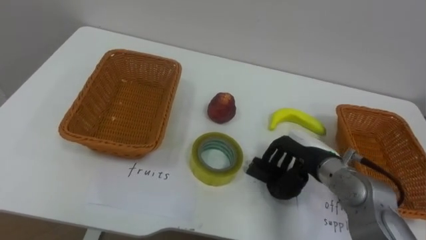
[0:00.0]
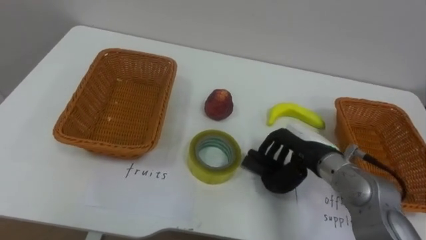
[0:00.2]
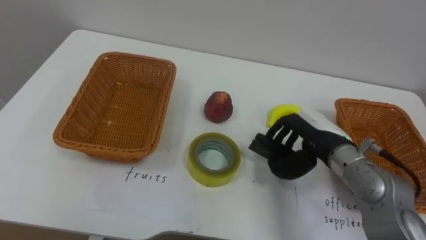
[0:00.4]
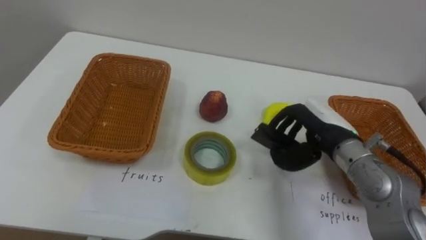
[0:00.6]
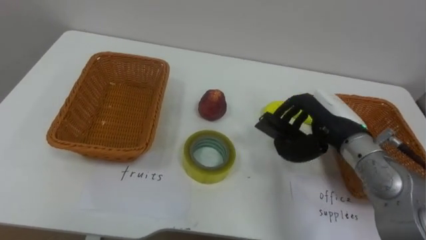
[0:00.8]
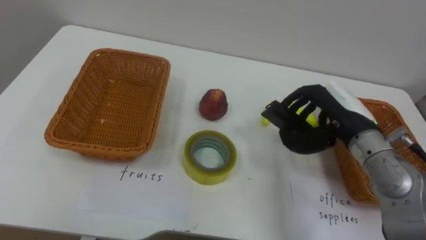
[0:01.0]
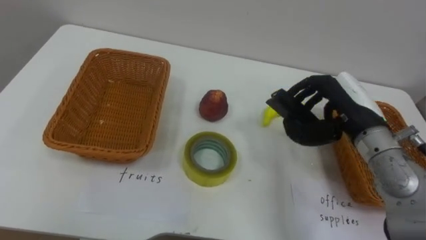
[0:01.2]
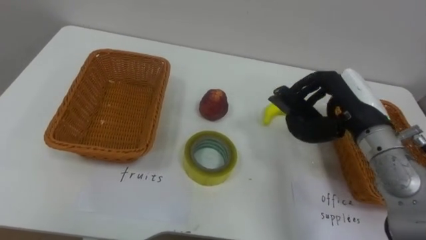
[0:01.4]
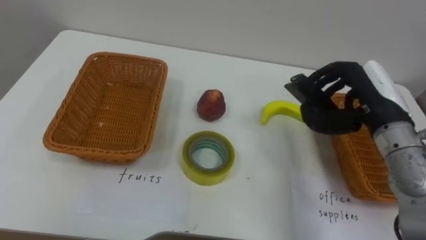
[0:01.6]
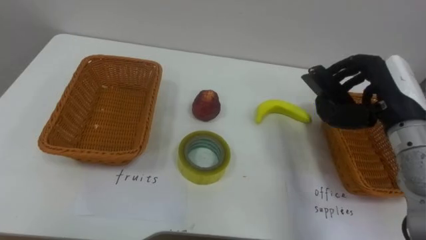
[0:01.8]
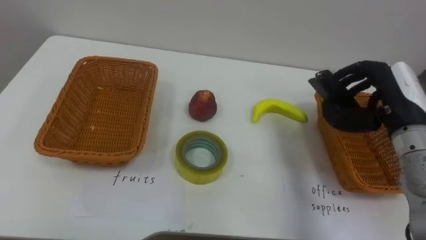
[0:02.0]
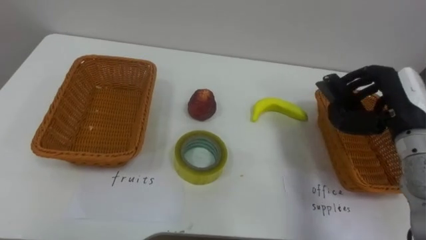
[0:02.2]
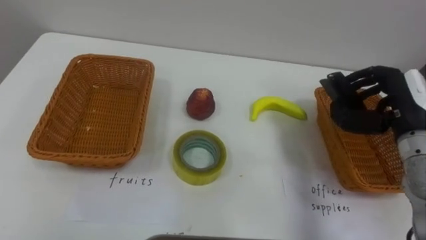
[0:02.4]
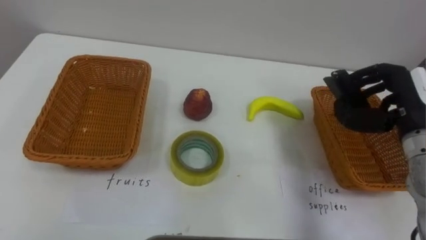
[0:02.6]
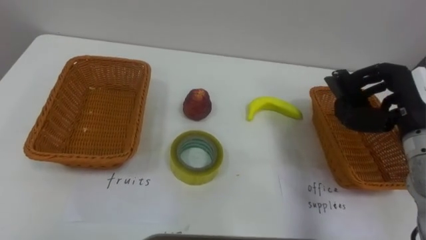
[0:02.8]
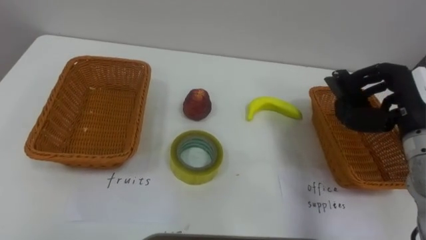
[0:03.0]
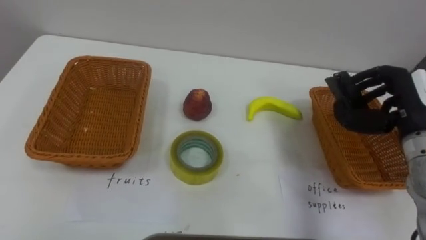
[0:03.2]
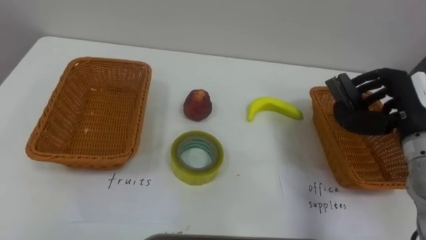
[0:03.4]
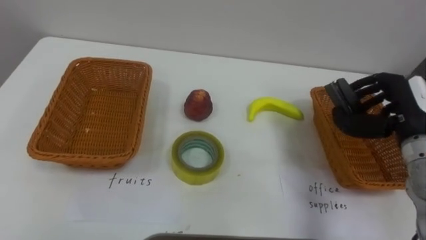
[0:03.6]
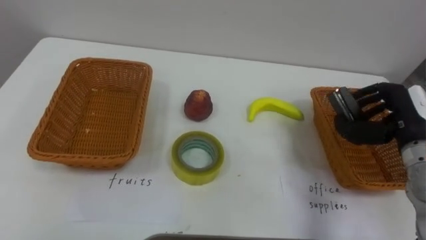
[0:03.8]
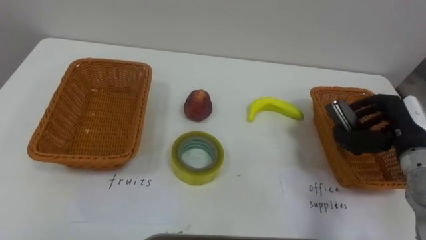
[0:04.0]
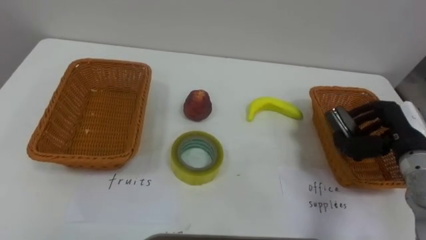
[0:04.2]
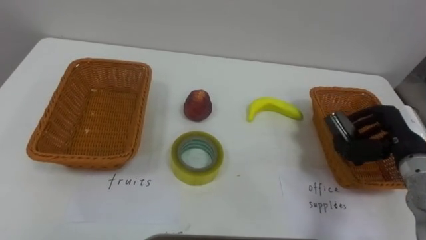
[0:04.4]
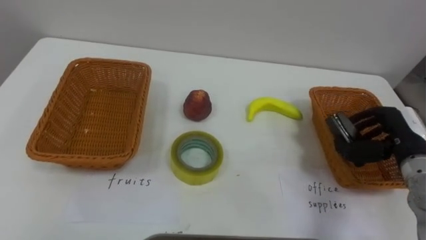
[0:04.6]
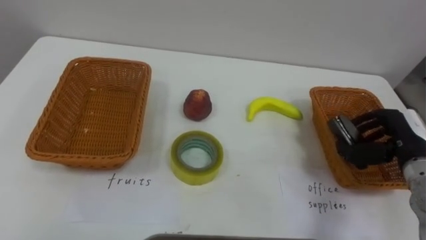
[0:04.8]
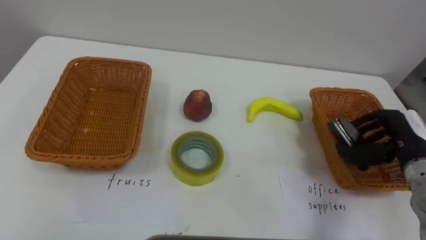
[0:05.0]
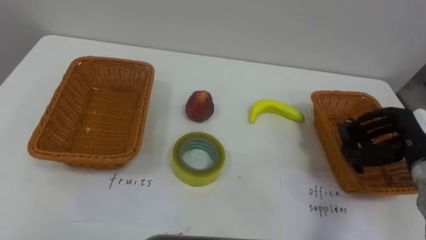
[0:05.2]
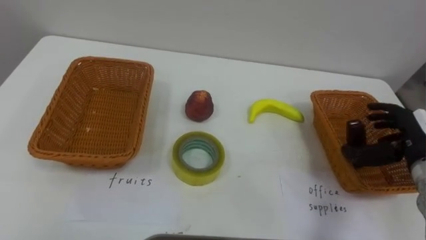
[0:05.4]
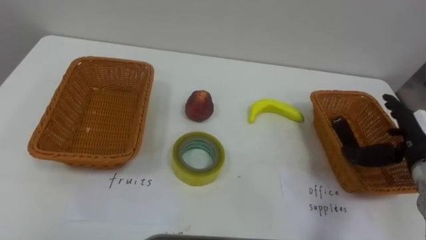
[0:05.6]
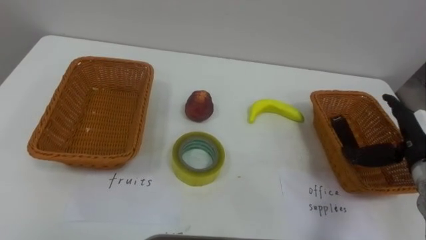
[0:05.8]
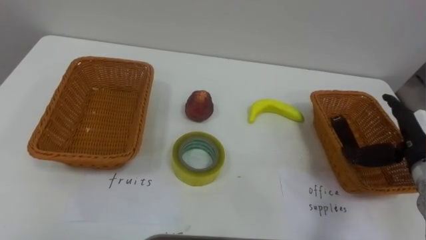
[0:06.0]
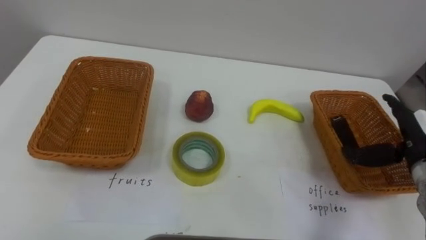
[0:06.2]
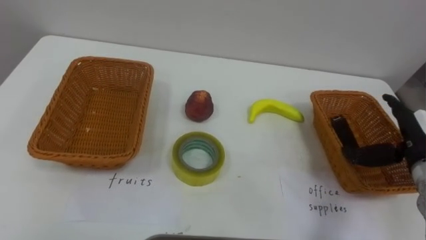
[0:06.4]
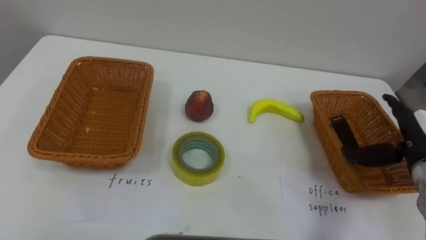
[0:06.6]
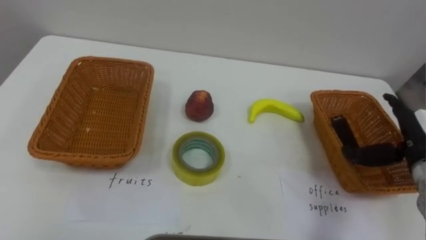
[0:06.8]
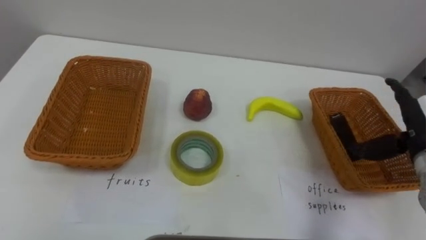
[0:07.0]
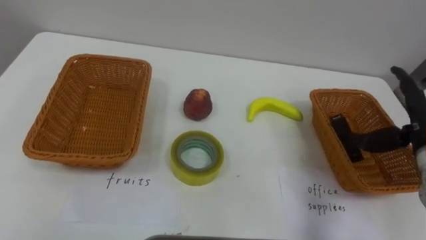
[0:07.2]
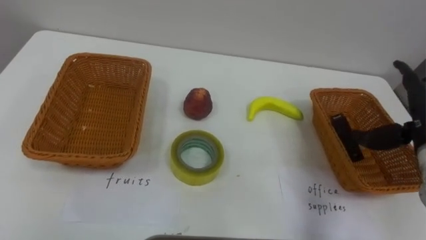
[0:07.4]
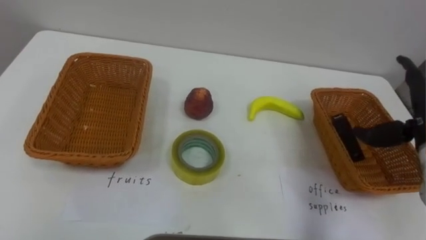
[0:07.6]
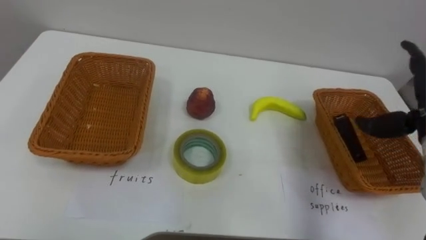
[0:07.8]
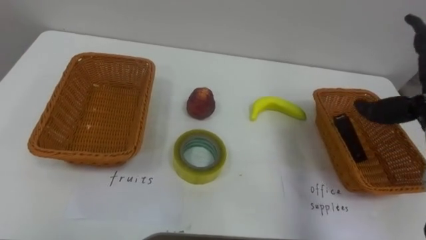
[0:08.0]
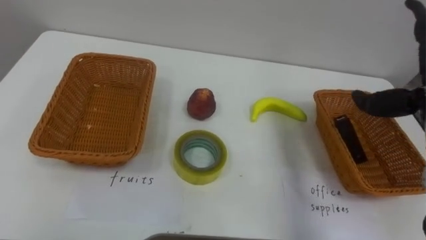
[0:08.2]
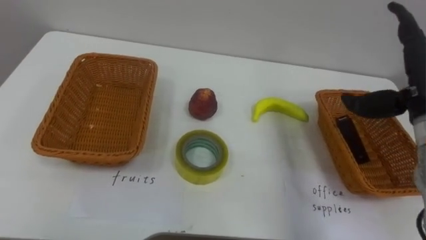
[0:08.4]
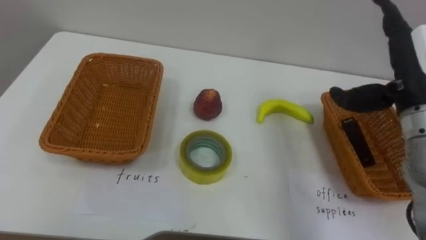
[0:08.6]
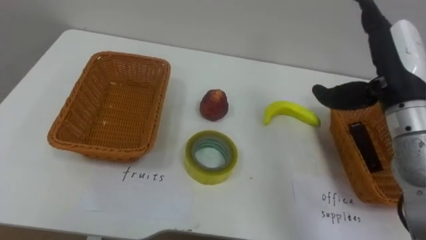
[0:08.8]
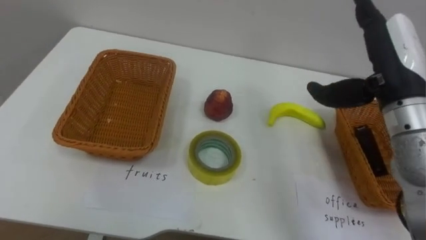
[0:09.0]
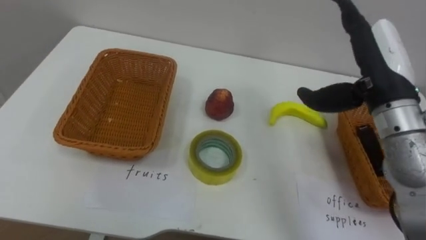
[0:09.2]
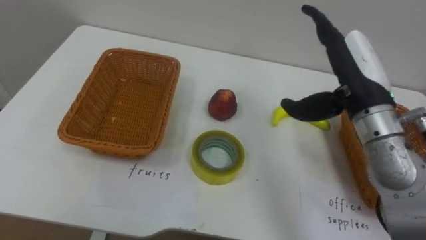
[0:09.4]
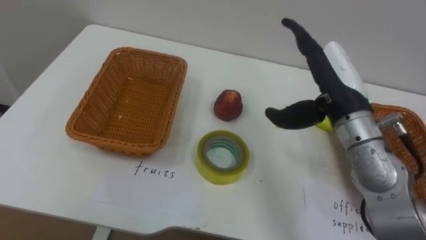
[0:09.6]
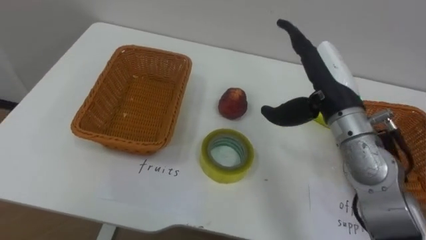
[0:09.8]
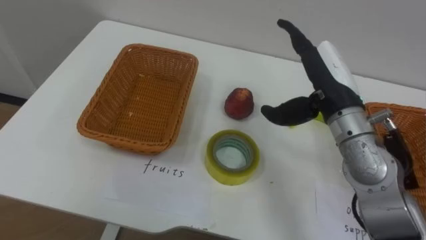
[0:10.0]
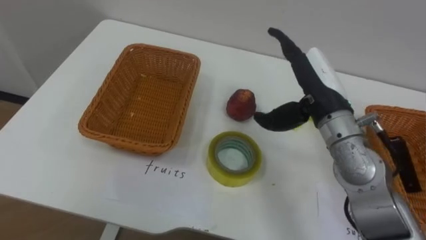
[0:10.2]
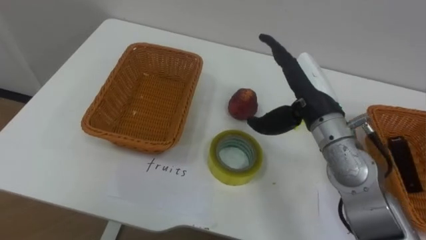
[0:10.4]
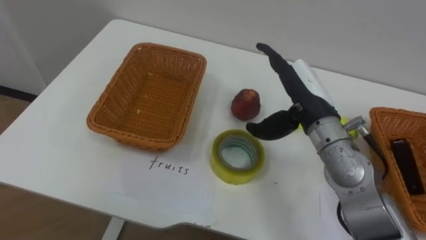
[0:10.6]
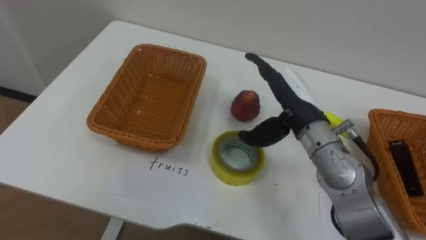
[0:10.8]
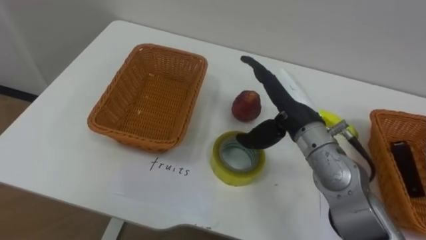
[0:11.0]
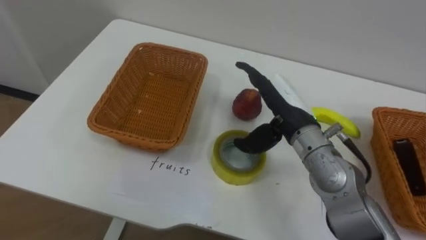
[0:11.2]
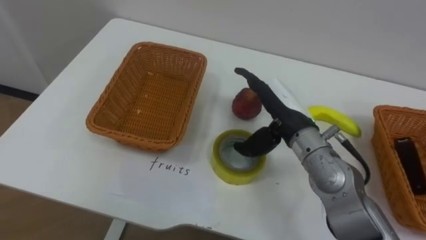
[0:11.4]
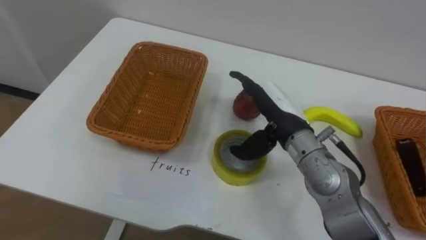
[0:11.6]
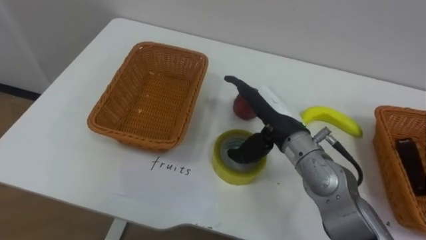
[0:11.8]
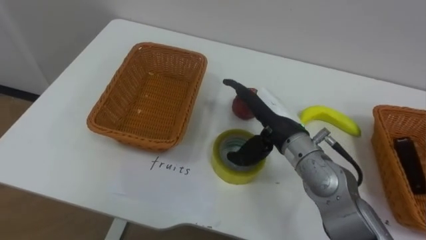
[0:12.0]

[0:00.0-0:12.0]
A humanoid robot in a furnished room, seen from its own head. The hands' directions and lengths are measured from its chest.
Task of the whole recording: Separate the items on the table and place them into the two baskets.
0:00.0 to 0:01.6: The right hand heads upward and to the right, covering approximately 15 cm.
0:01.6 to 0:03.0: The right hand is displaced to the right by about 5 cm.
0:03.0 to 0:04.4: The right hand heads downward, covering some 5 cm.
0:04.4 to 0:06.0: The right hand opens.
0:06.0 to 0:07.6: The right hand moves upward, about 5 cm.
0:09.0 to 0:10.4: The right hand heads to the left and downward, covering roughly 10 cm.
0:10.4 to 0:12.0: The right hand is displaced downward by roughly 5 cm.

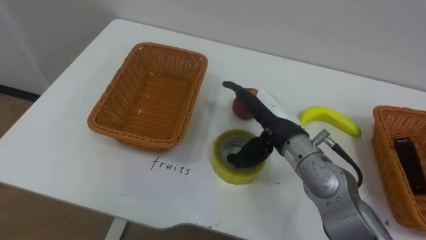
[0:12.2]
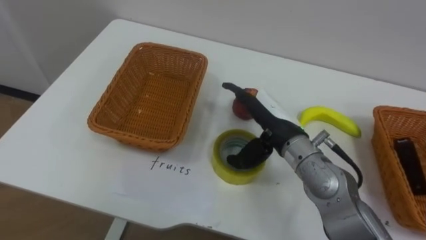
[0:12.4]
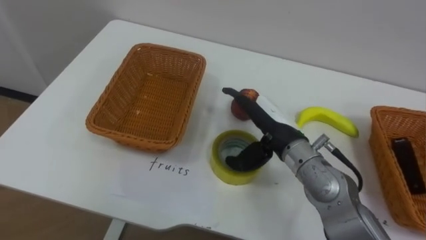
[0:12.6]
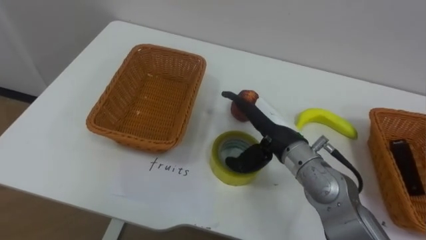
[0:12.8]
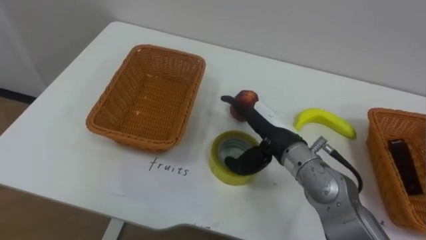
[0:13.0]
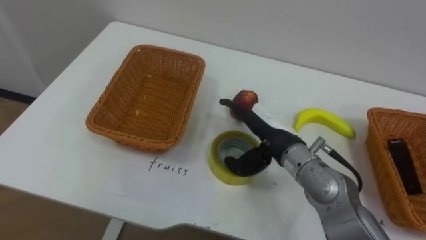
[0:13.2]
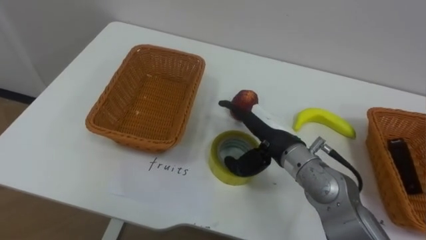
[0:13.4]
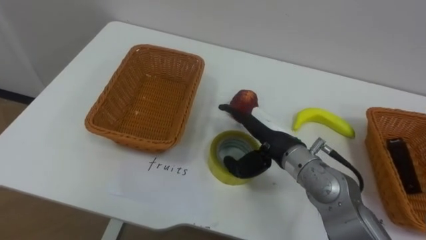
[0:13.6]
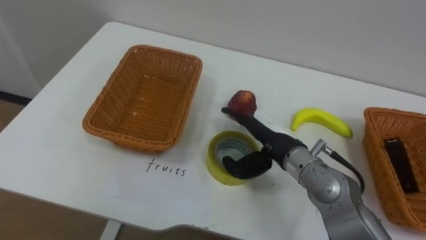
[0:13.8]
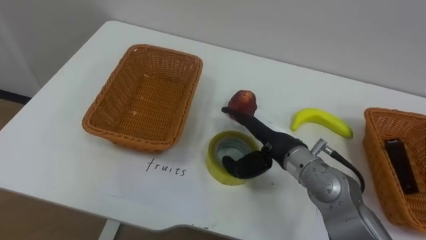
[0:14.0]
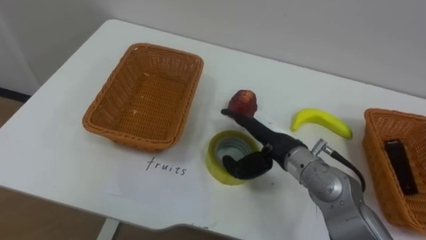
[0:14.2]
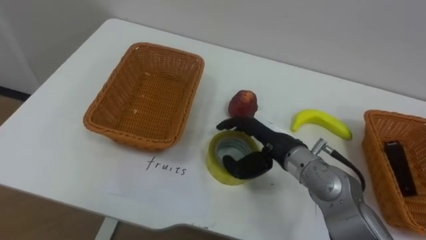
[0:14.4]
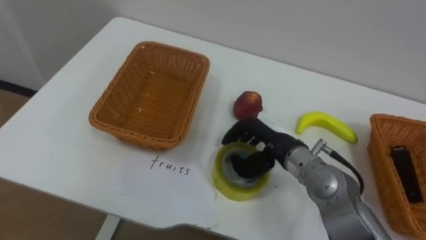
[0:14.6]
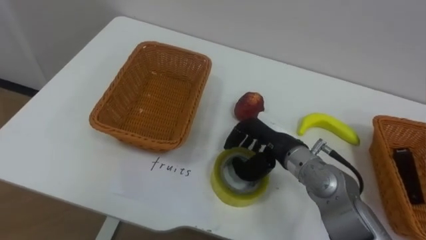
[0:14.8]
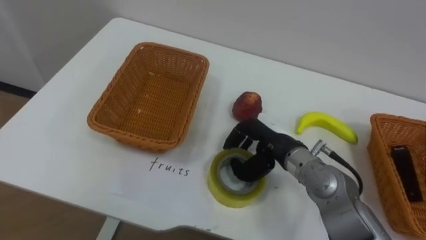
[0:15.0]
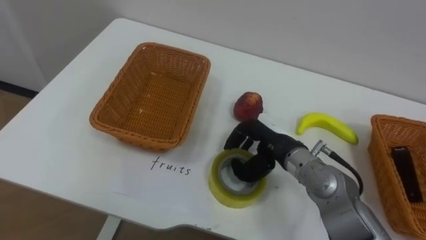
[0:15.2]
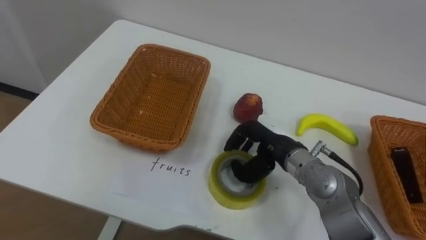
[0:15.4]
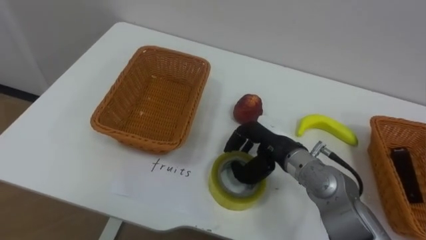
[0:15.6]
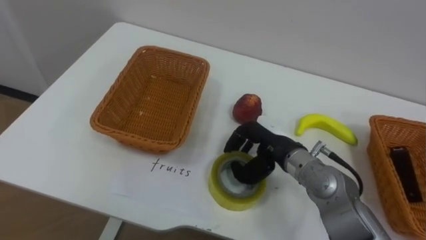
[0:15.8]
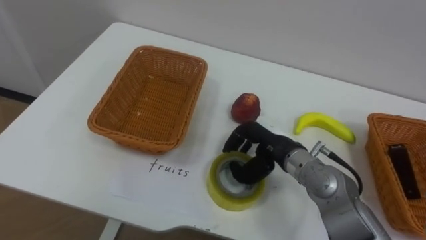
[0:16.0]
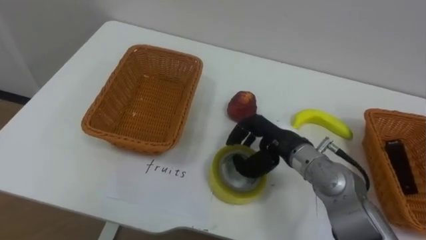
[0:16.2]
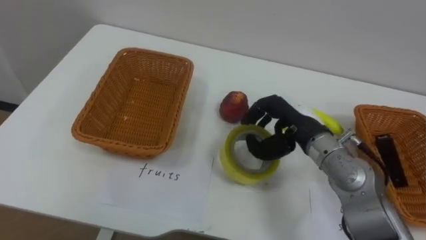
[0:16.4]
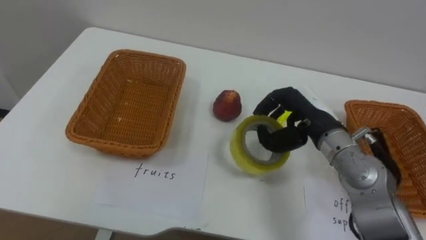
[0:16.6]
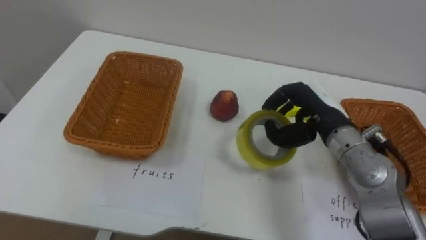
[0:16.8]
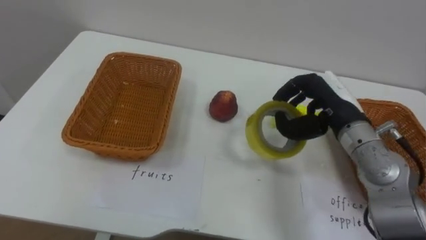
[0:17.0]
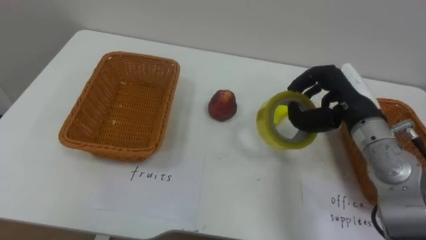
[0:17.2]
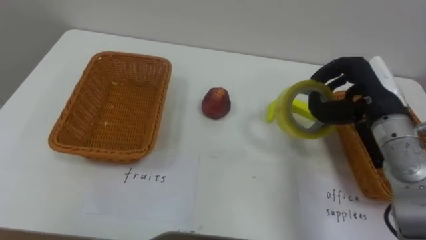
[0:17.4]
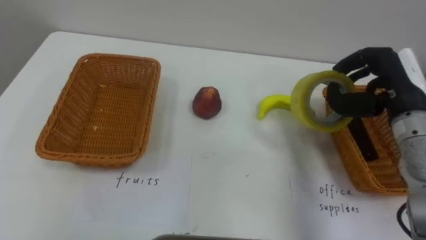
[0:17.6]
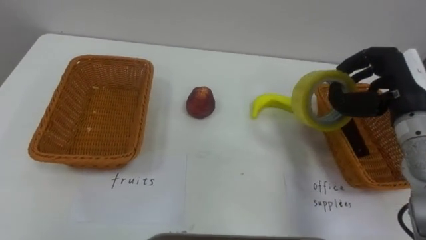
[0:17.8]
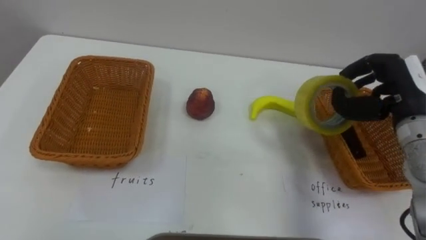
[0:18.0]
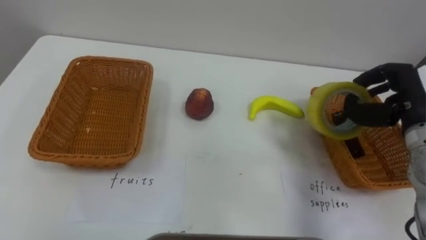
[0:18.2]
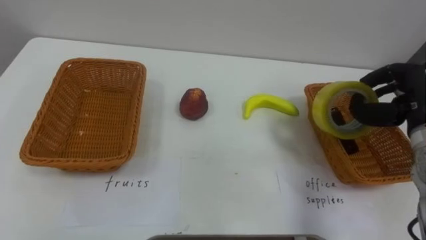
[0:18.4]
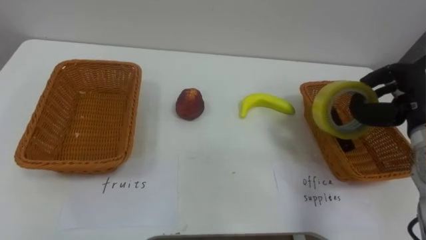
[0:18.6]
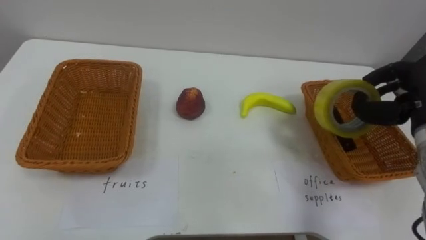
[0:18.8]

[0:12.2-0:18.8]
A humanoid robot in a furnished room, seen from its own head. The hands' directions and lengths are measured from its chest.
Task of the whole recording: Separate the items on the table and place them into the two baskets.
0:13.8 to 0:15.4: The right hand closes.
0:15.4 to 0:17.2: The right hand heads to the right and upward, covering approximately 15 cm.
0:17.2 to 0:18.8: The right hand heads to the right, covering approximately 10 cm.
